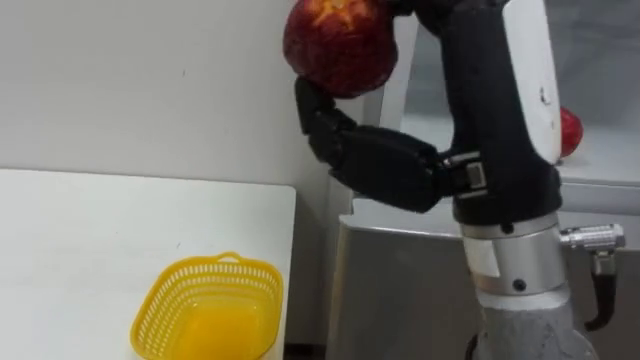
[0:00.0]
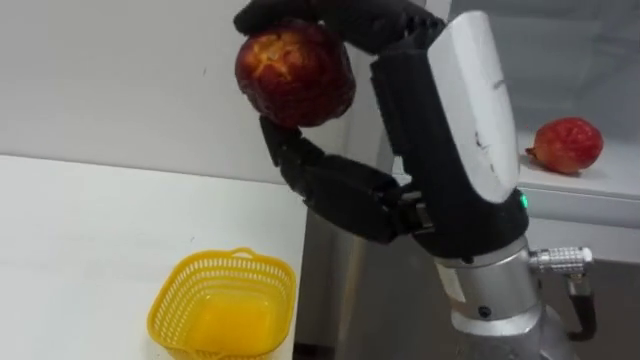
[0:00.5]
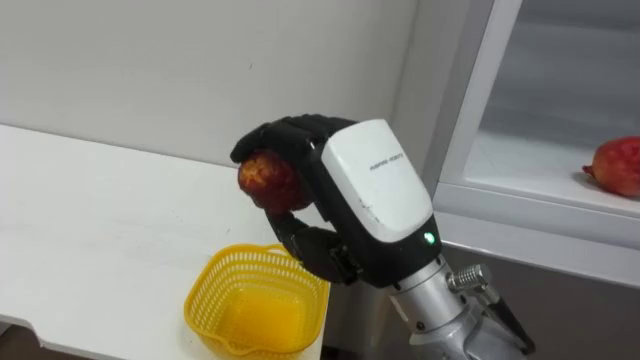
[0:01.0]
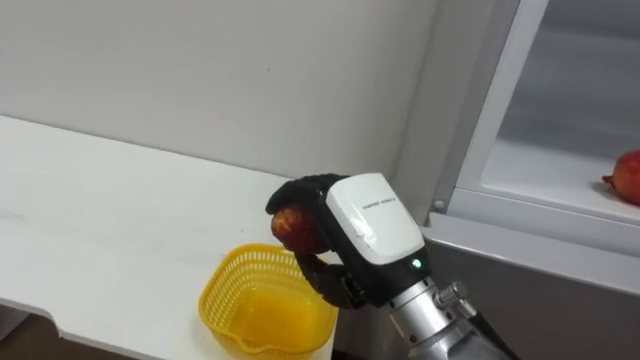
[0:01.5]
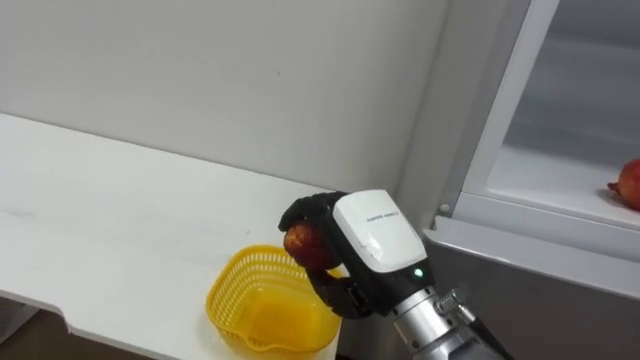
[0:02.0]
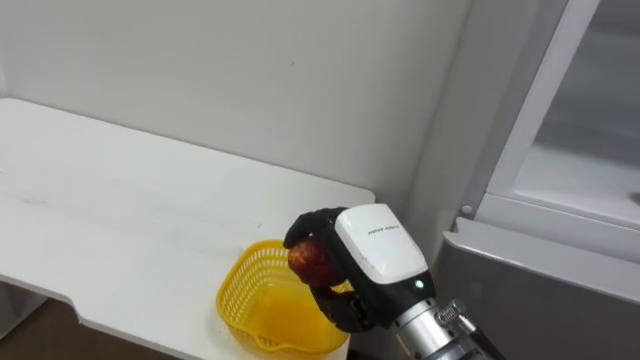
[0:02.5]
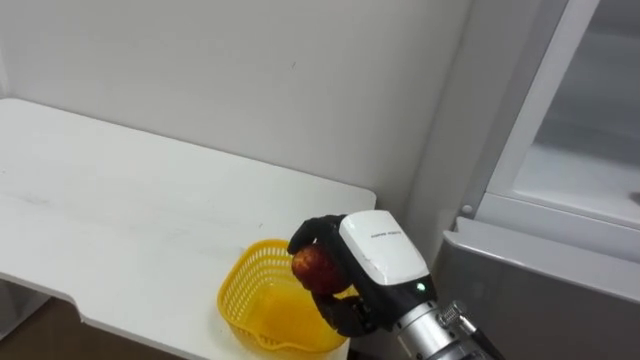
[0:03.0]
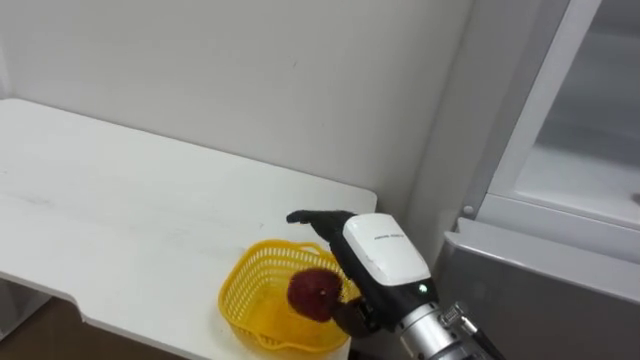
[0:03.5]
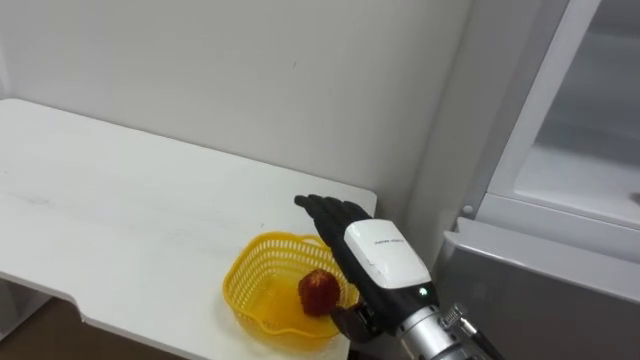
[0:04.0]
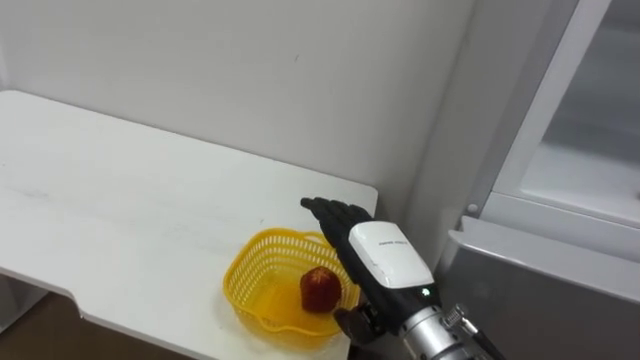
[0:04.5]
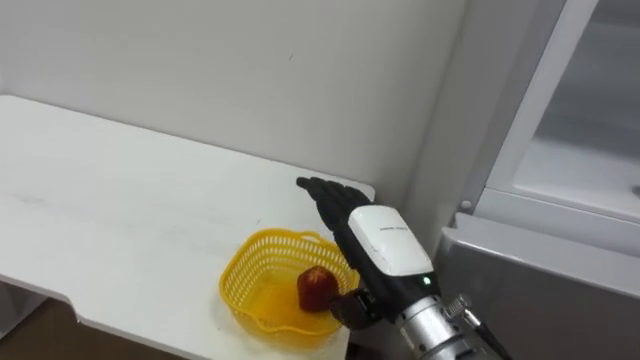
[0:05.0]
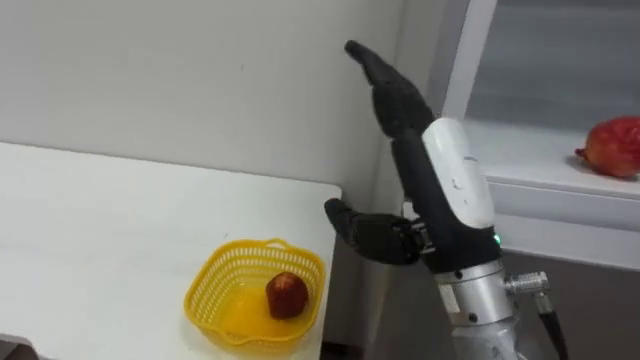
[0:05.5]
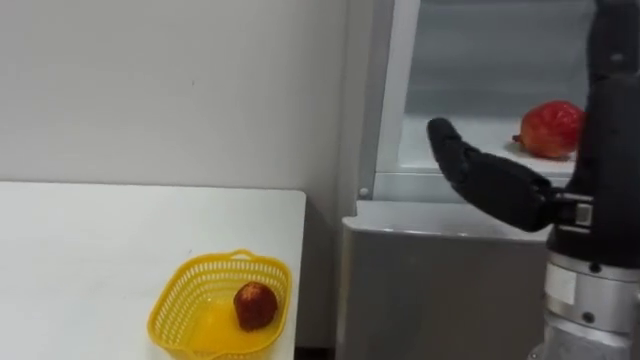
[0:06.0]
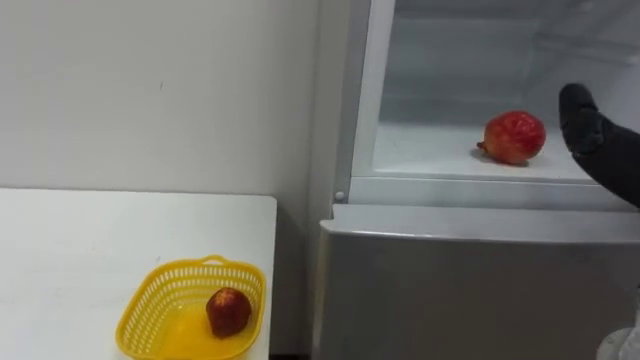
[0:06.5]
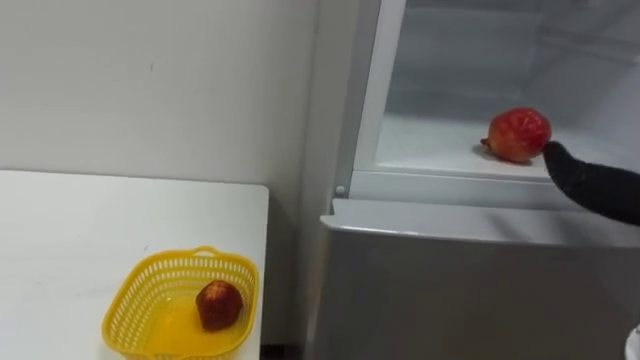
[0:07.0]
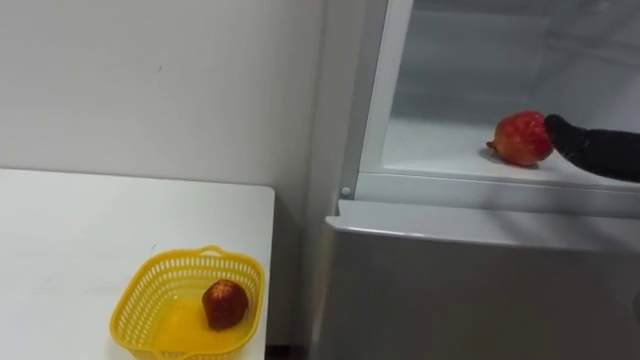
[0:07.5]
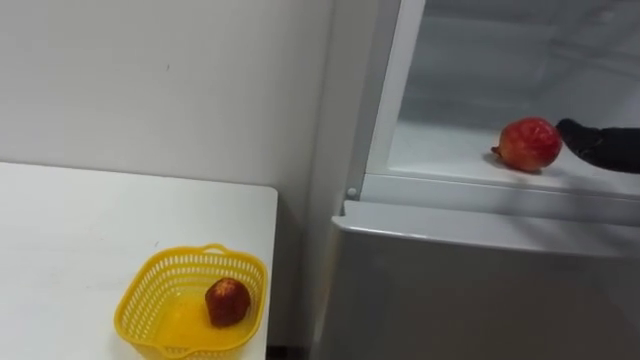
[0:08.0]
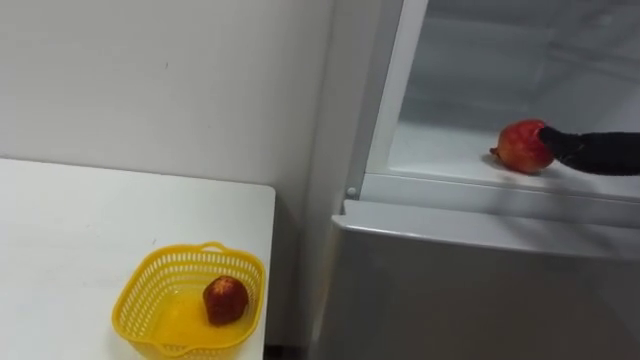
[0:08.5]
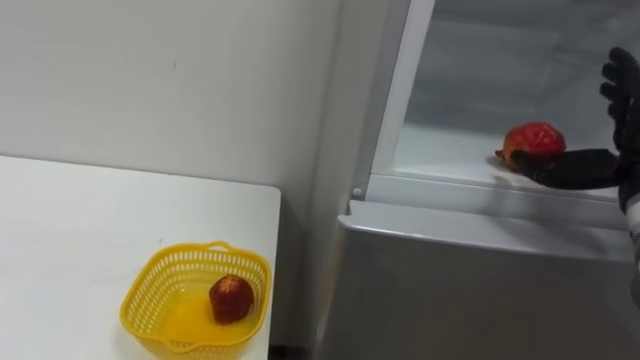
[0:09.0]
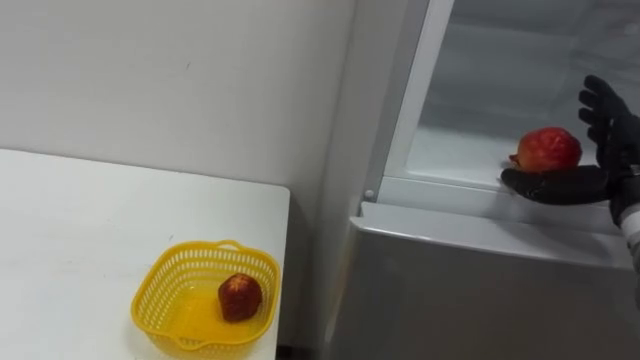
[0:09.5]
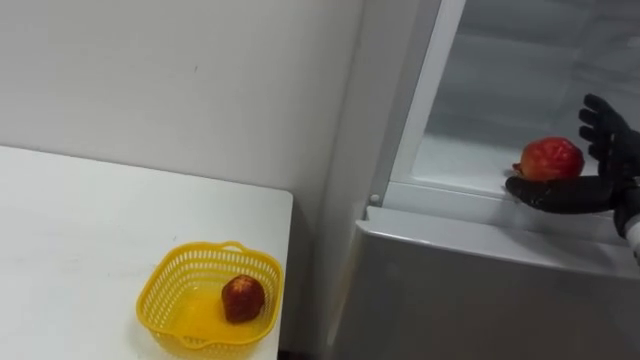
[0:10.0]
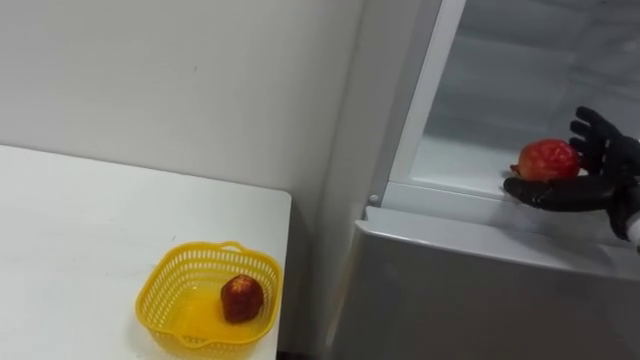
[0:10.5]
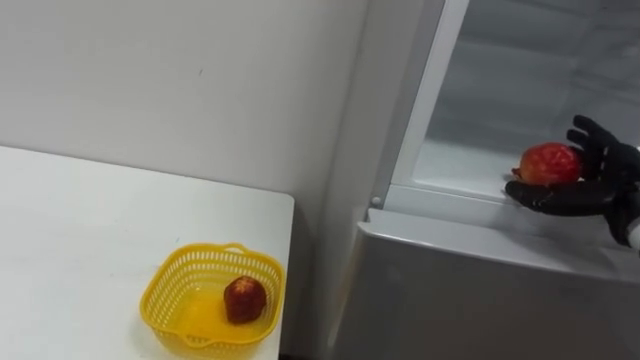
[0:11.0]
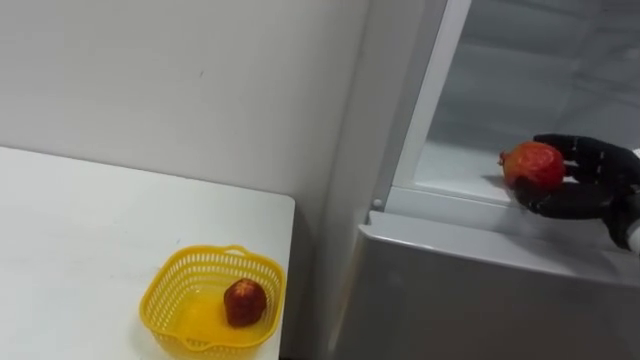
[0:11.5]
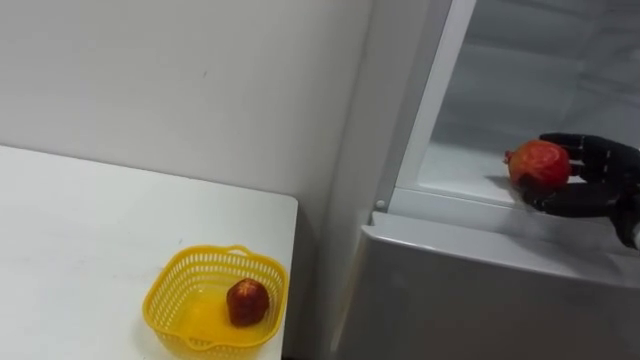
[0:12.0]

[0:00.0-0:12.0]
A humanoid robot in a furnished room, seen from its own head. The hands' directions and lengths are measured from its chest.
Task of the whole recording: Open the refrigerator door, take out the apple and the pomegranate, place them in the fruit basket on the left, and close the refrigerator door.
0:00.0 to 0:02.0: The right hand travels downward and forward by about 20 cm.
0:02.0 to 0:04.0: The right hand opens.
0:04.0 to 0:06.0: The right hand shifts approximately 20 cm upward, to the right and backward.
0:10.0 to 0:12.0: The right hand closes its fingers.

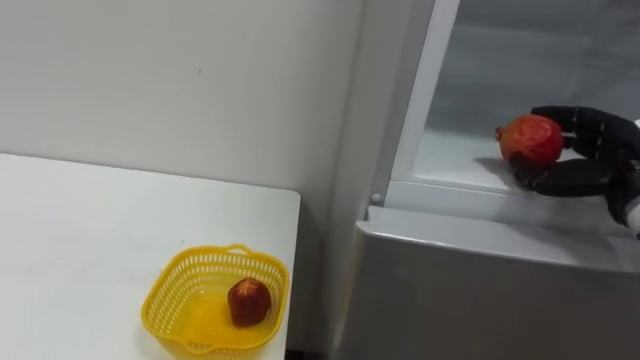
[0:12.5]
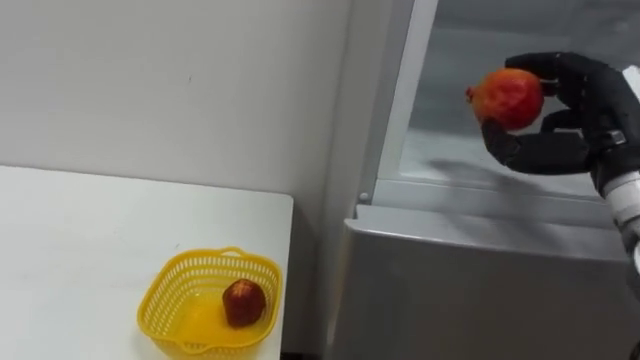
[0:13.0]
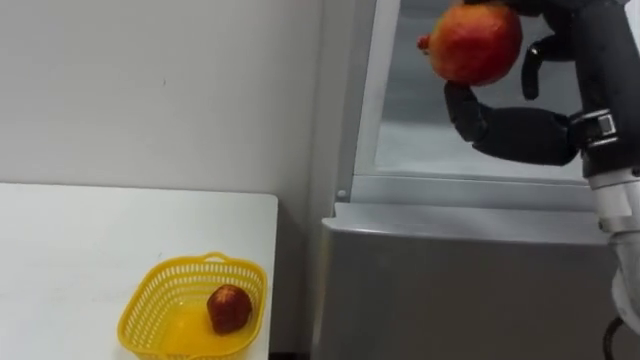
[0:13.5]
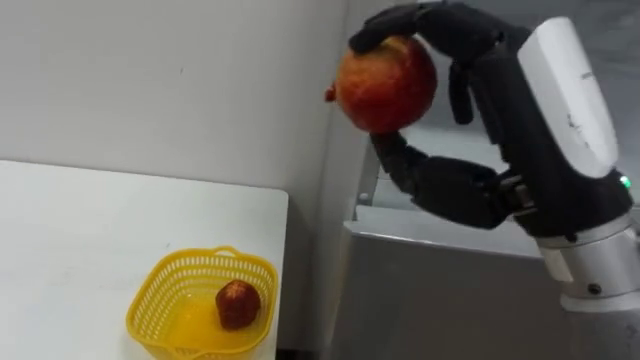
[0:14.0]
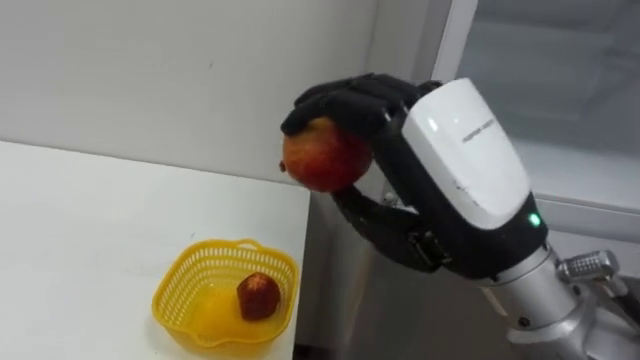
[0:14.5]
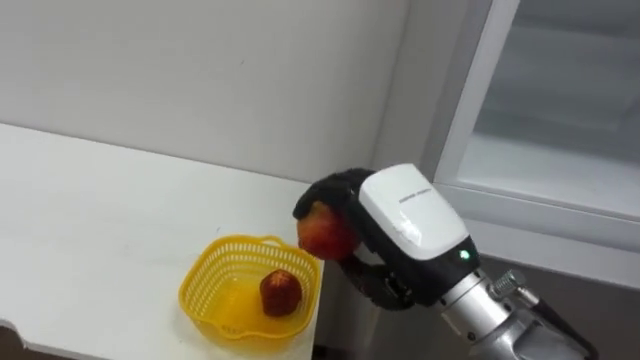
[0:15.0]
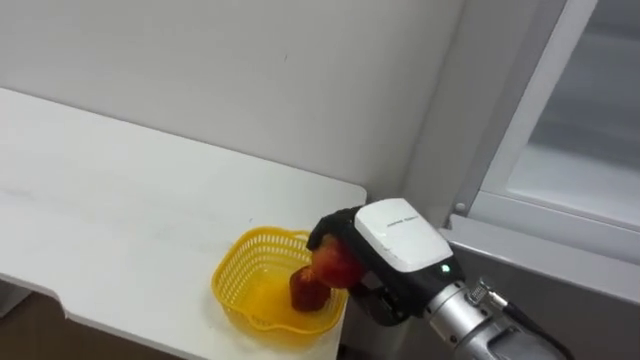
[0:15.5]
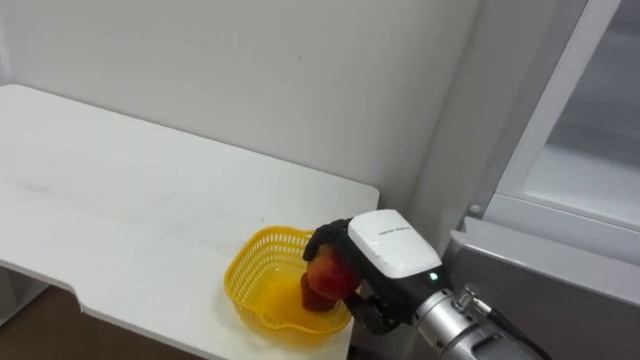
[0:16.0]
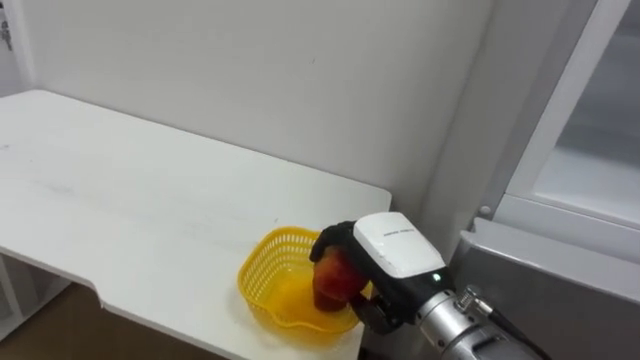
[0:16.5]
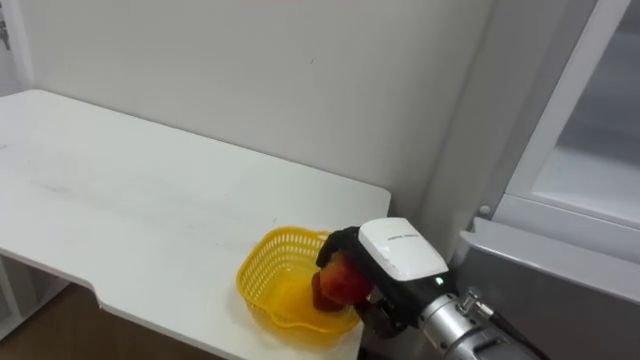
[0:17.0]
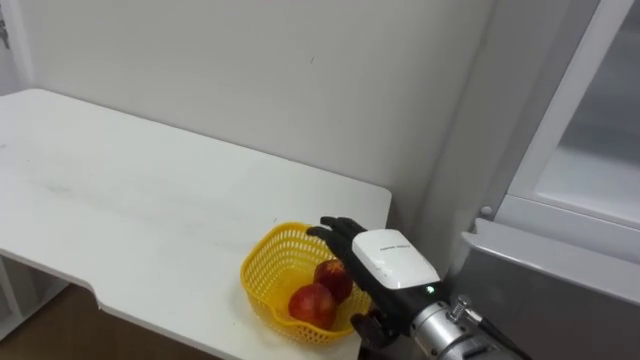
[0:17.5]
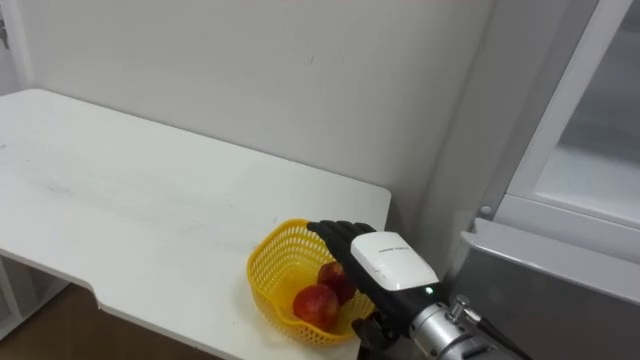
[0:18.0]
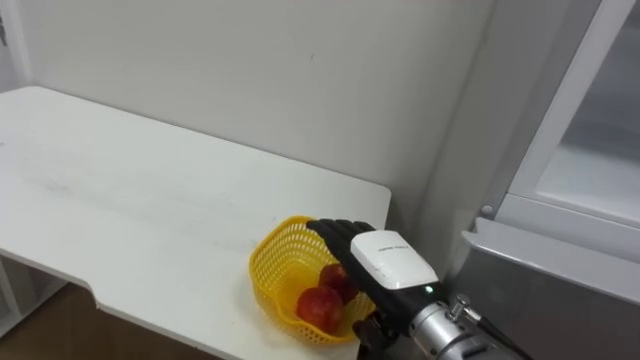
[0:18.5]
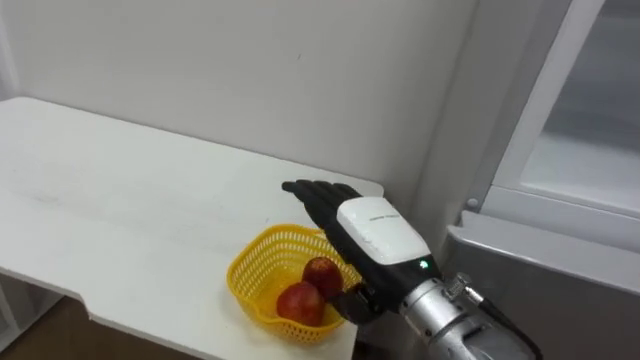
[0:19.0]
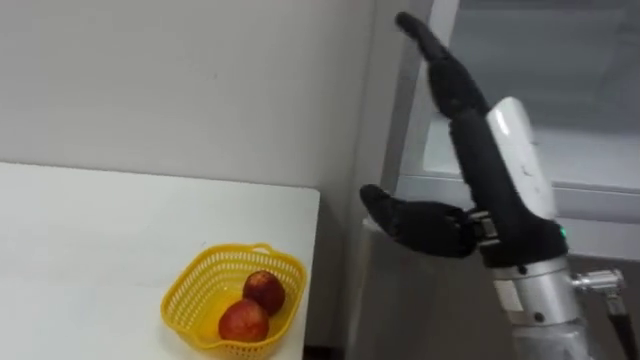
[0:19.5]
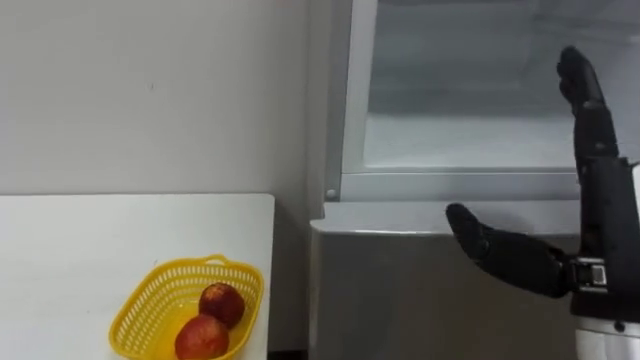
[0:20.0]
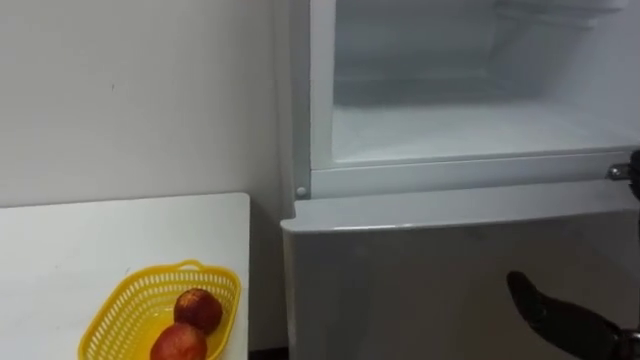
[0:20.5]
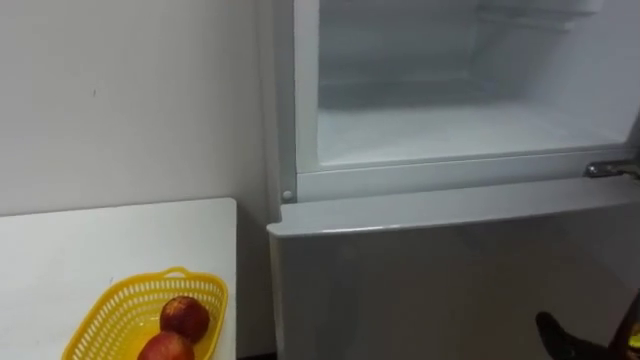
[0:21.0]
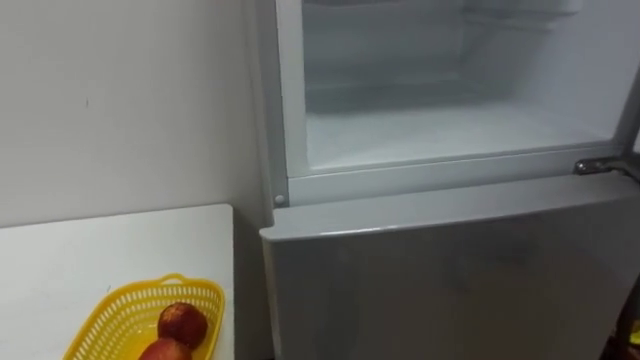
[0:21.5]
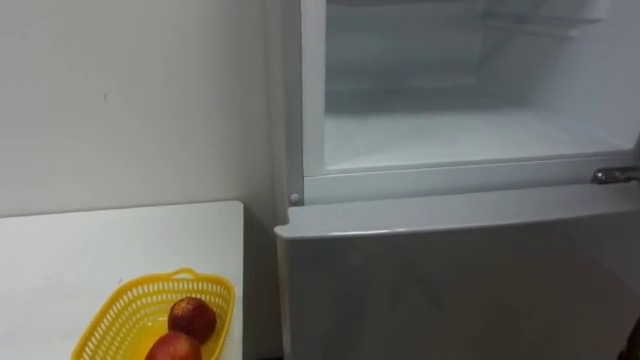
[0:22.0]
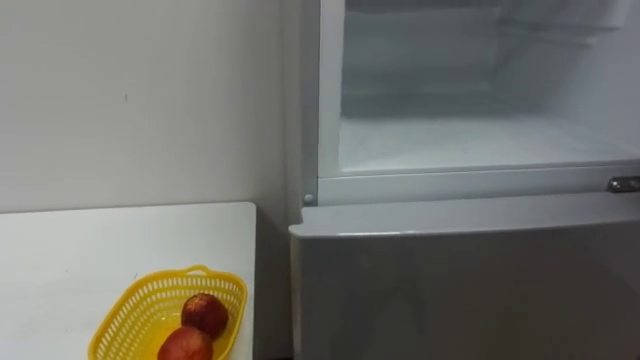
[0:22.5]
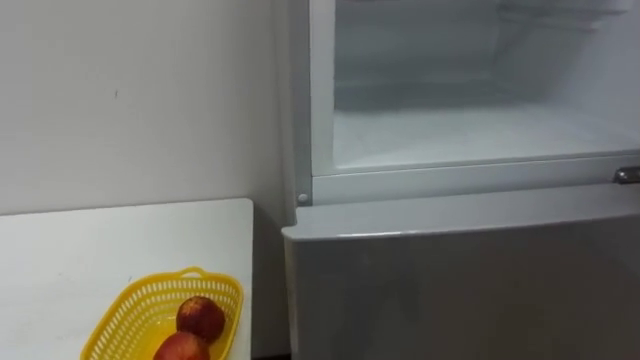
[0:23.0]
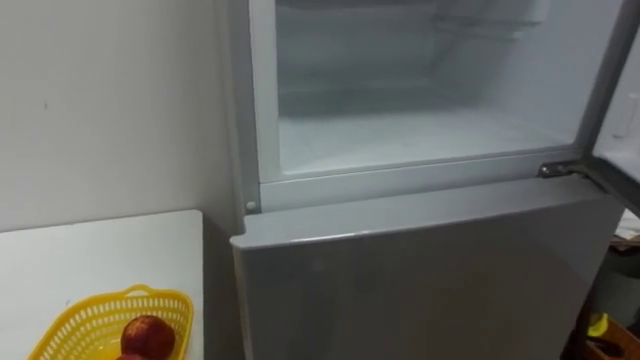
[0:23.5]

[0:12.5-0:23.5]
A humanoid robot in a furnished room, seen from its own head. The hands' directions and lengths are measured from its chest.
Task of the whole recording: Open the refrigerator door, take out the apple and the pomegranate, place them in the fruit basket on the left, and close the refrigerator door.
0:12.5 to 0:14.5: The right hand travels to the left and backward by some 25 cm.
0:14.5 to 0:16.0: The right hand goes roughly 20 cm downward and forward.
0:16.0 to 0:18.0: The right hand opens up.
0:18.0 to 0:20.0: The right hand moves to the right, upward and backward, roughly 20 cm.
